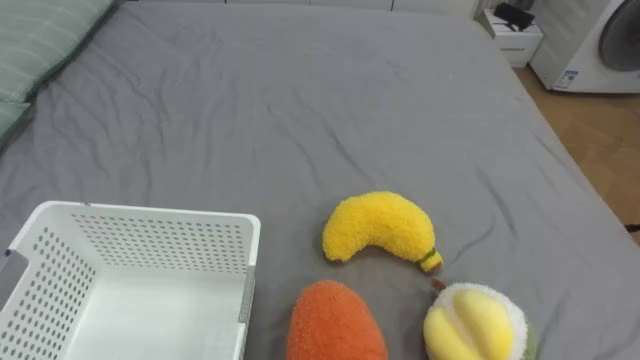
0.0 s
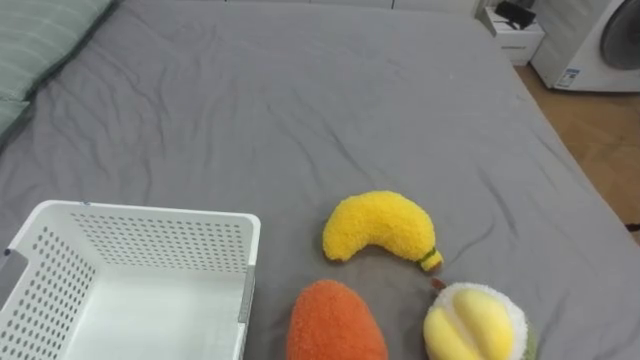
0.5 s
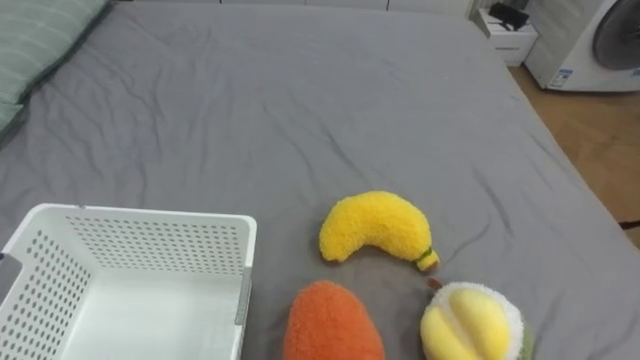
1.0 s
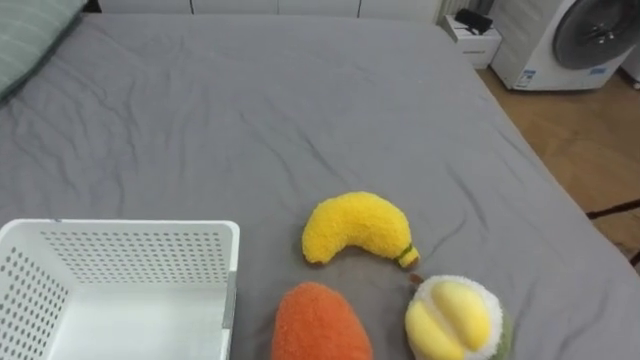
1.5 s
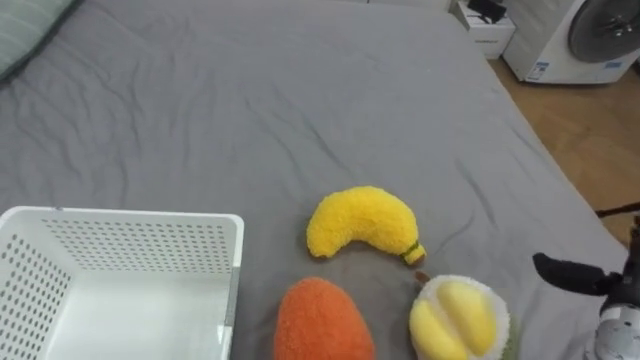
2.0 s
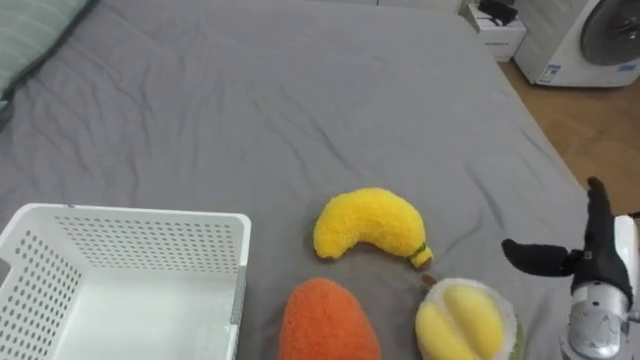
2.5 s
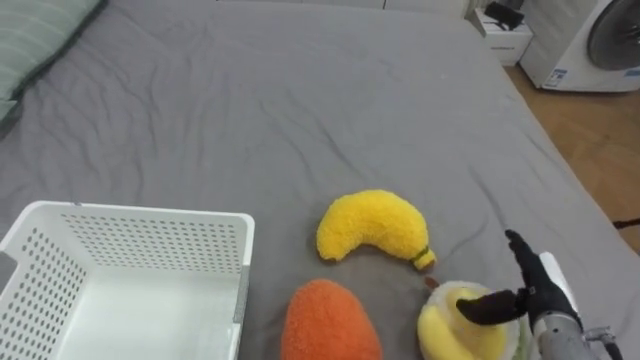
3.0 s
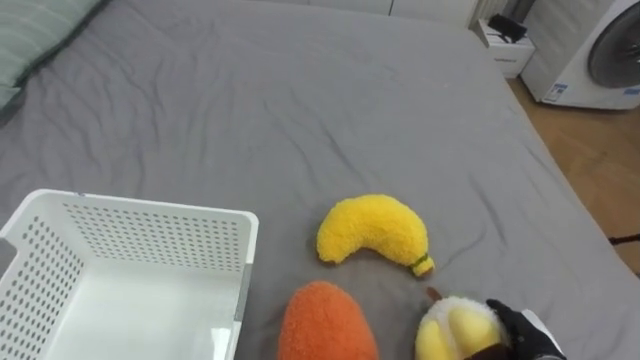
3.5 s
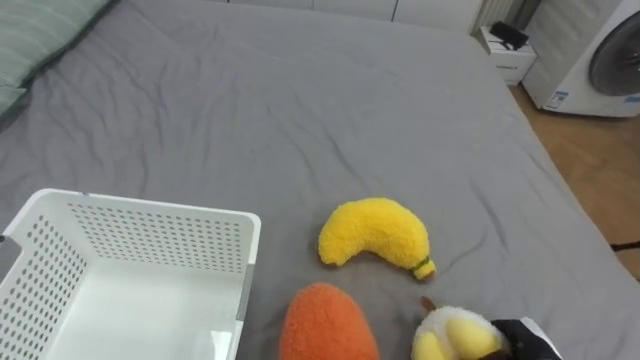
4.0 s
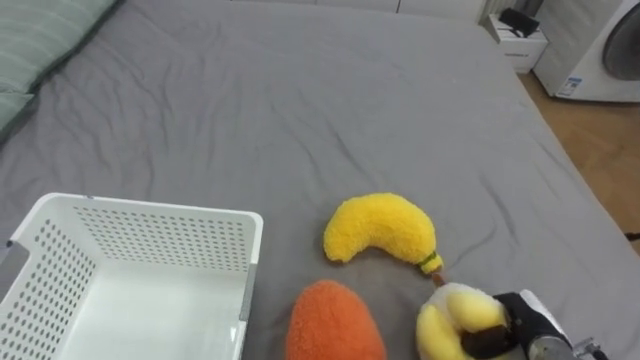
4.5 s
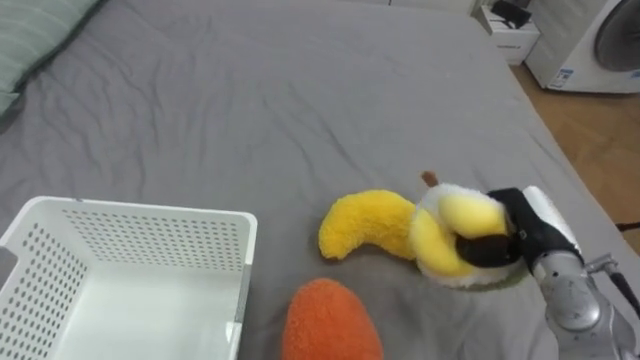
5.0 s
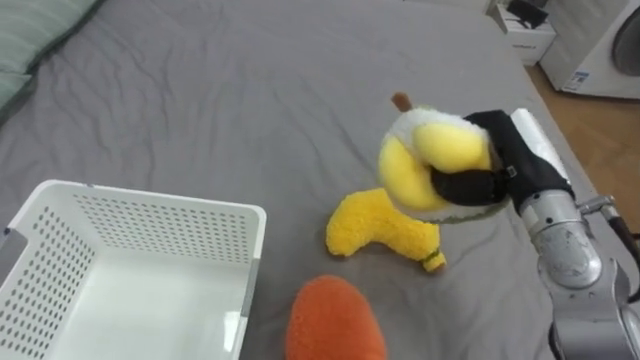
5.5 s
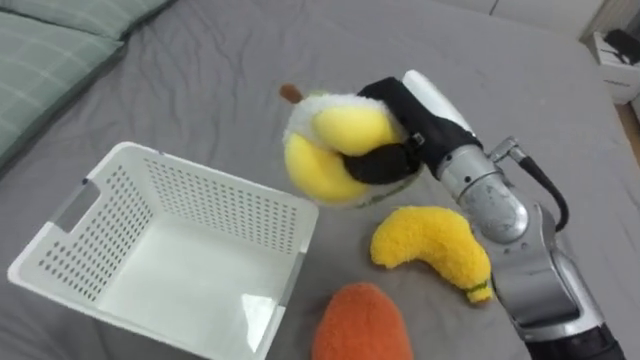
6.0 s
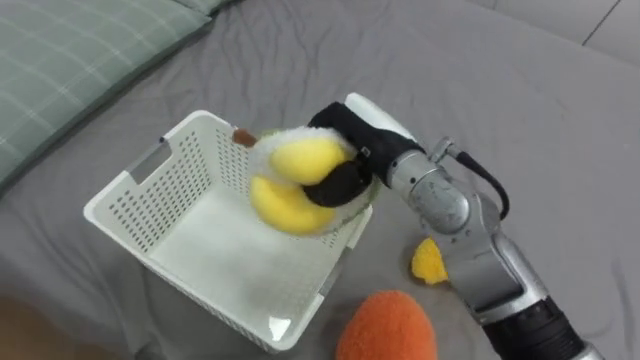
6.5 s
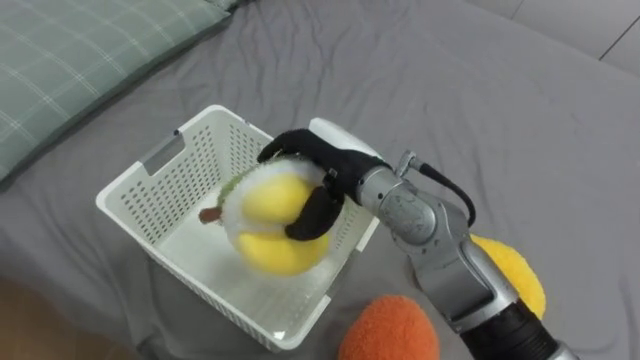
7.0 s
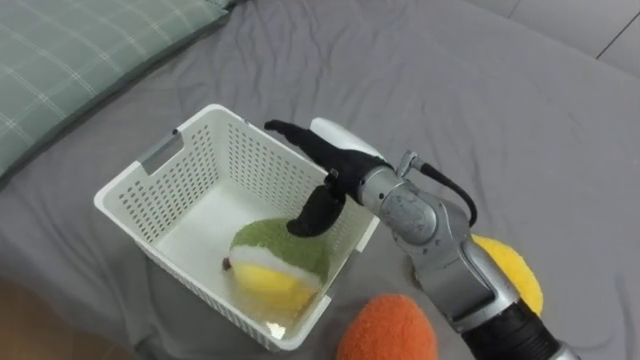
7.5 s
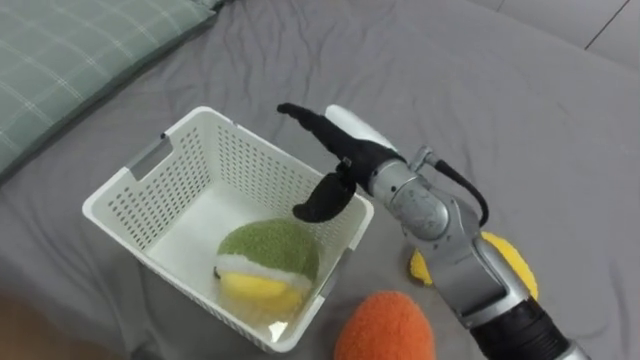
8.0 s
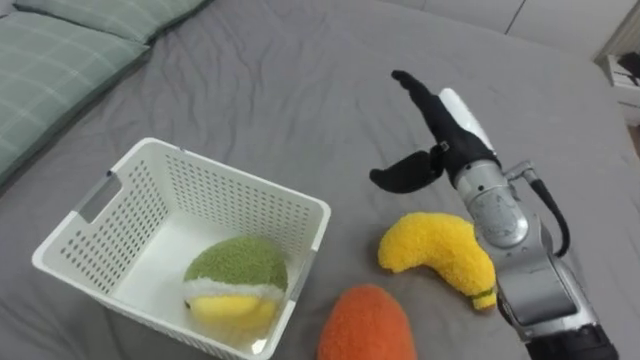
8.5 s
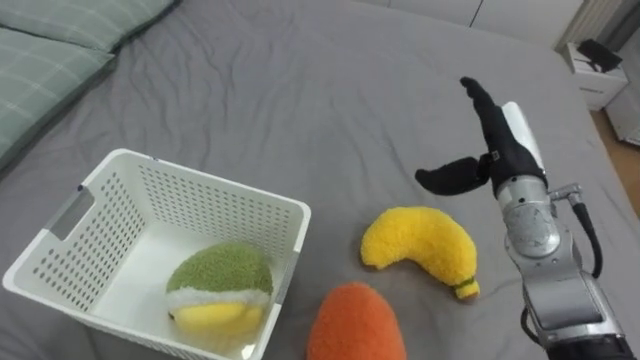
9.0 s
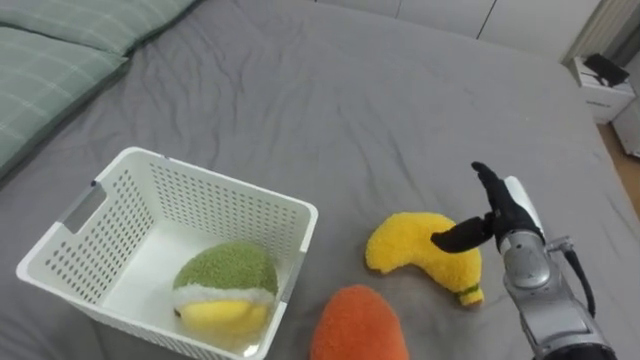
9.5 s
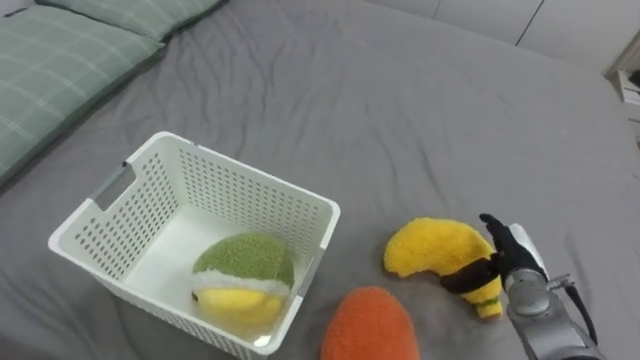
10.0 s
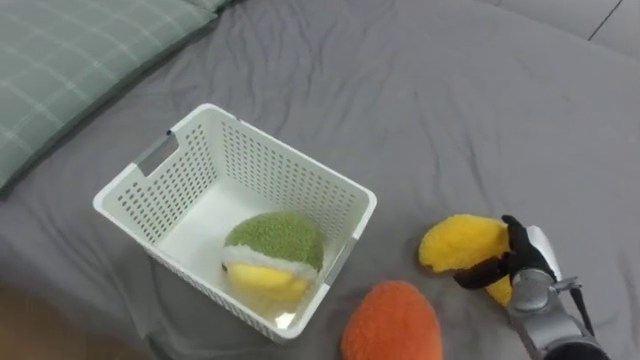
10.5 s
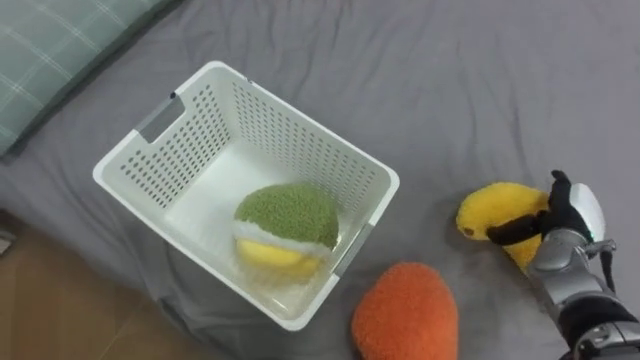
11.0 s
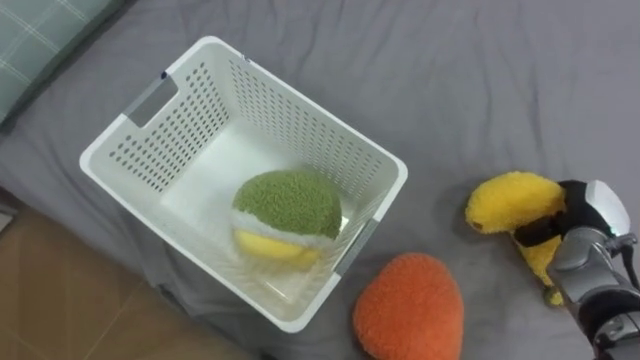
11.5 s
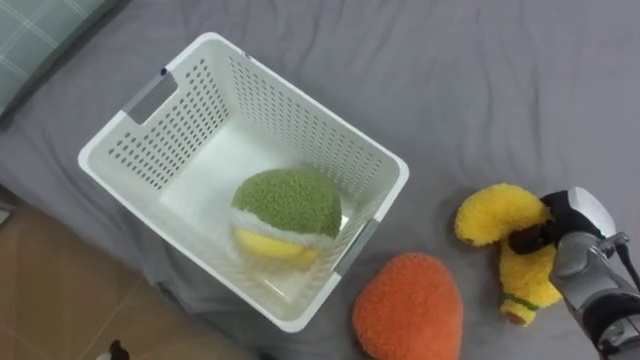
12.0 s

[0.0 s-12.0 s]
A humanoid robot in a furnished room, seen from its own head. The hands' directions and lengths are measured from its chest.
Task of the whole recording: Put the toys on the bed into the basket on the left.
2.0 to 4.0 s: The right hand moves downward and to the left, approximately 15 cm, and closes up.
4.0 to 6.0 s: The right hand heads upward, to the left and forward, covering some 35 cm.
6.0 to 8.0 s: The right hand travels to the left by roughly 10 cm, and opens up.
8.0 to 10.0 s: The right hand moves to the right and downward, some 30 cm.
10.0 to 12.0 s: The right hand goes about 5 cm to the right, and closes.

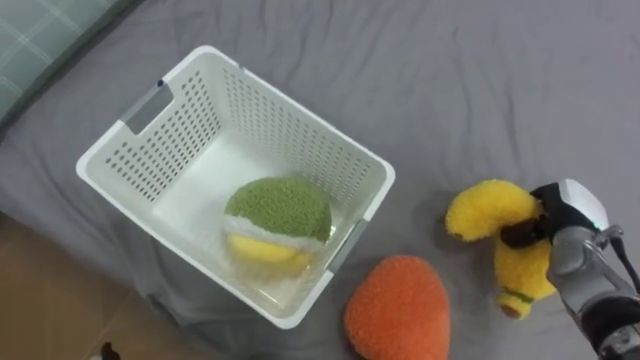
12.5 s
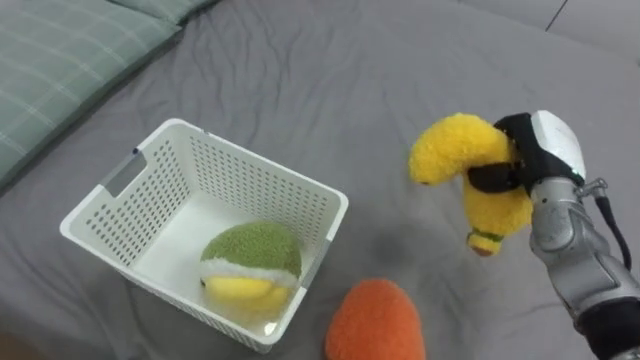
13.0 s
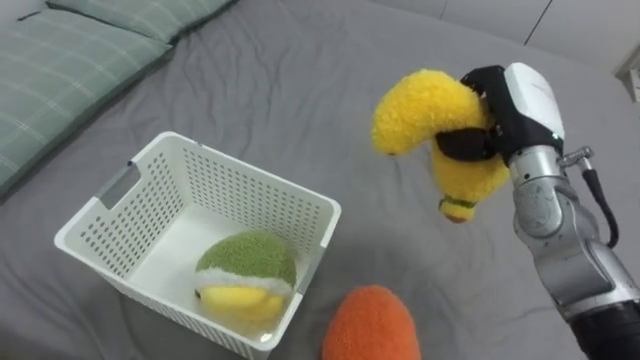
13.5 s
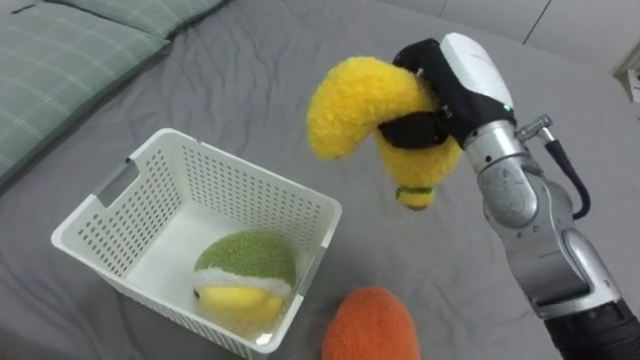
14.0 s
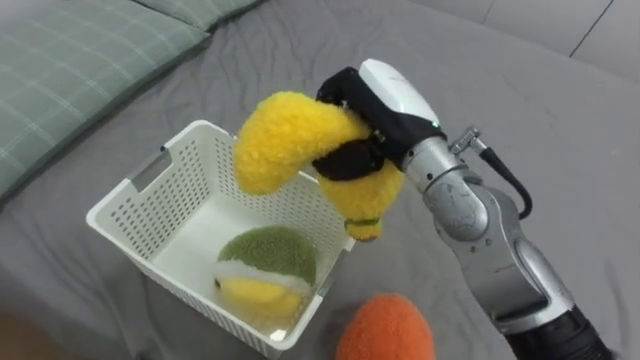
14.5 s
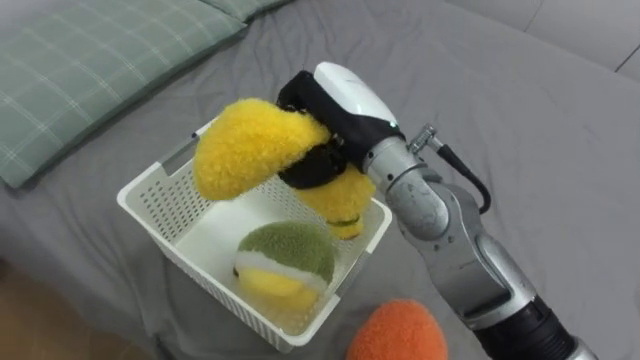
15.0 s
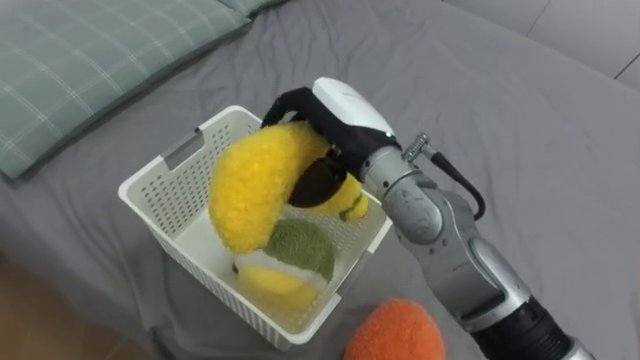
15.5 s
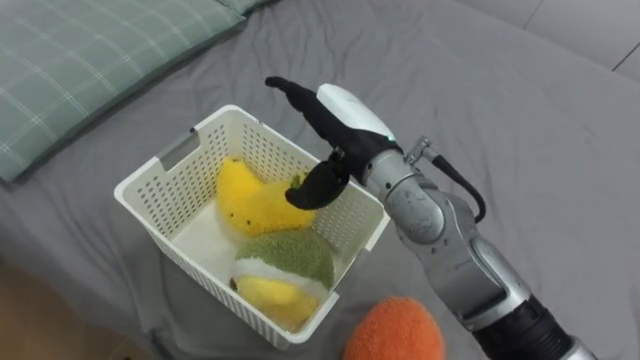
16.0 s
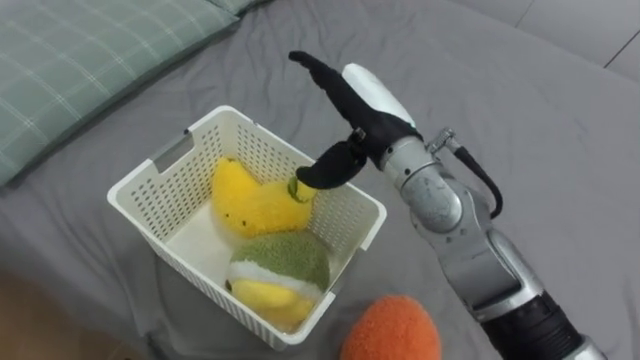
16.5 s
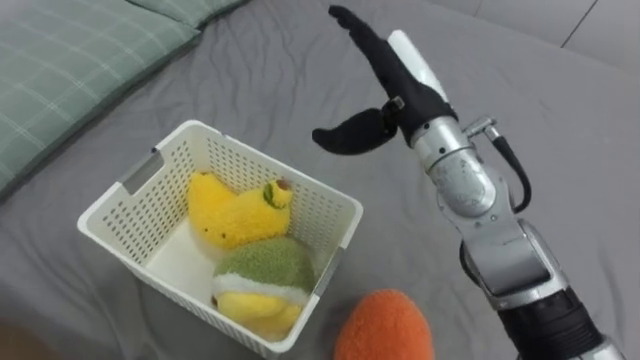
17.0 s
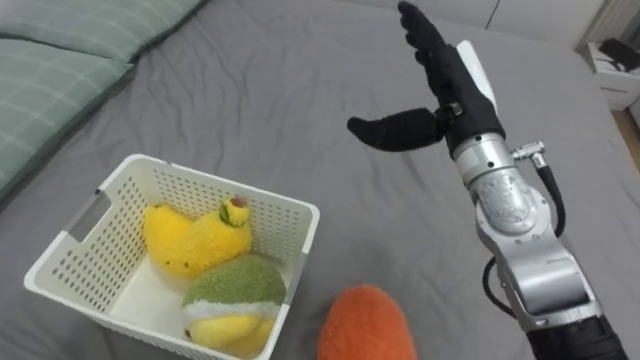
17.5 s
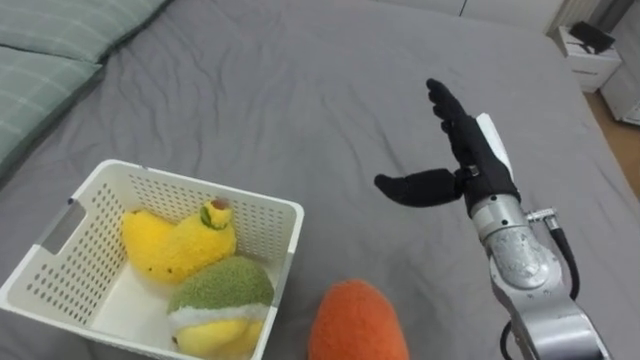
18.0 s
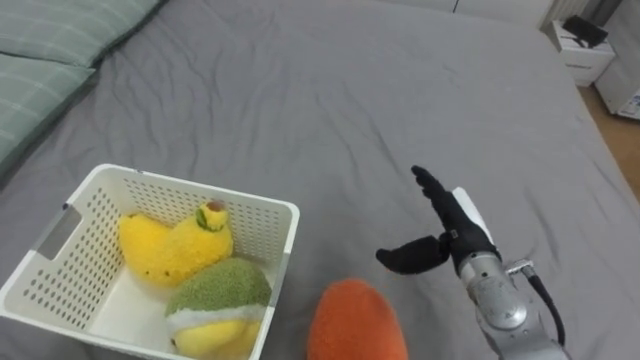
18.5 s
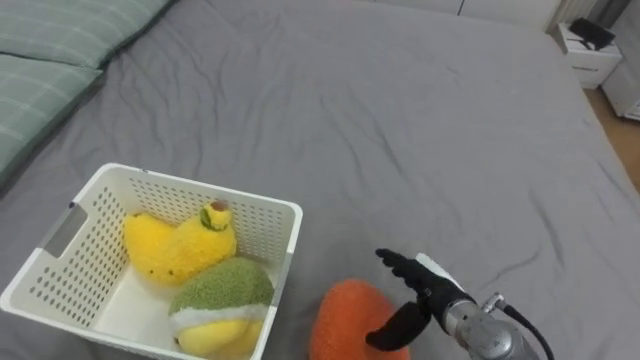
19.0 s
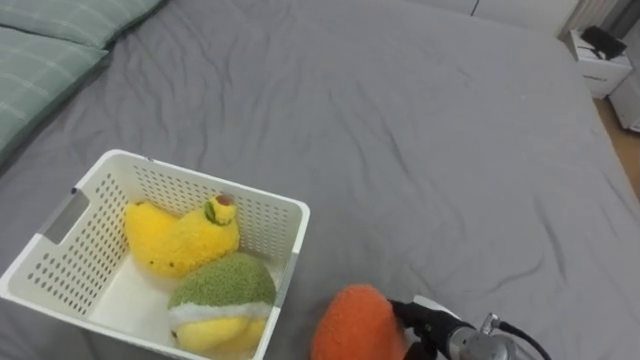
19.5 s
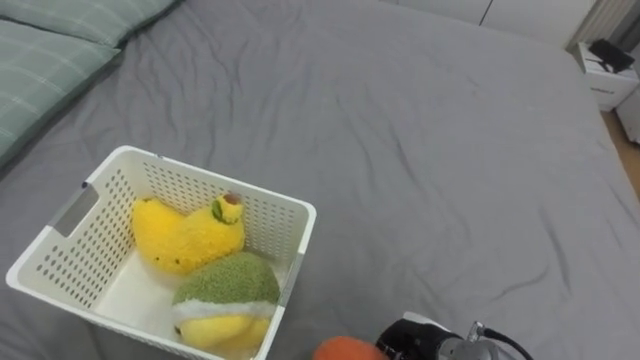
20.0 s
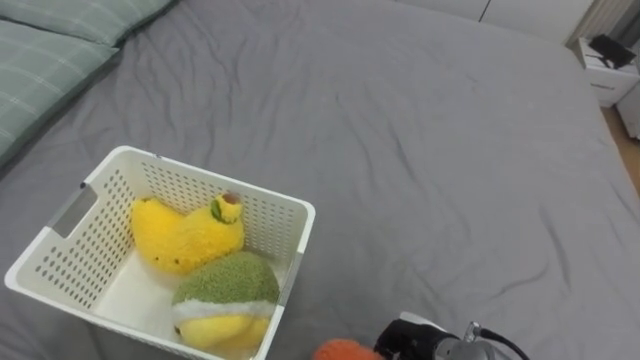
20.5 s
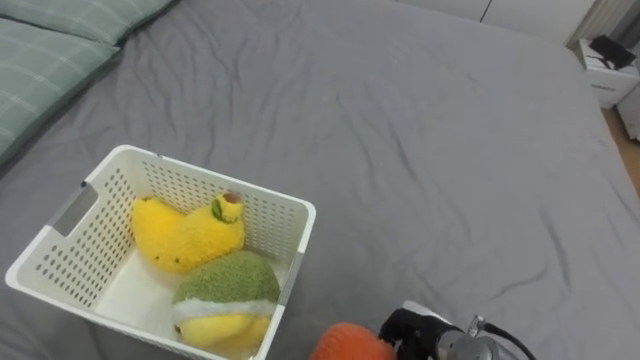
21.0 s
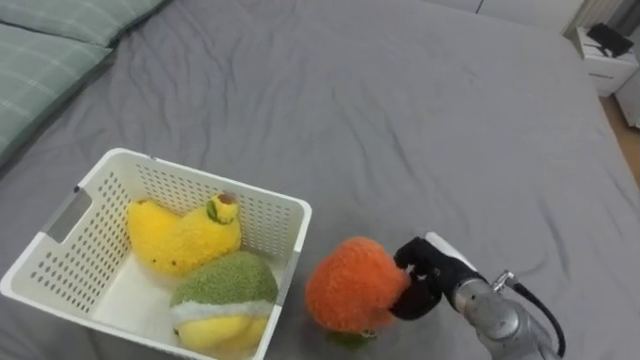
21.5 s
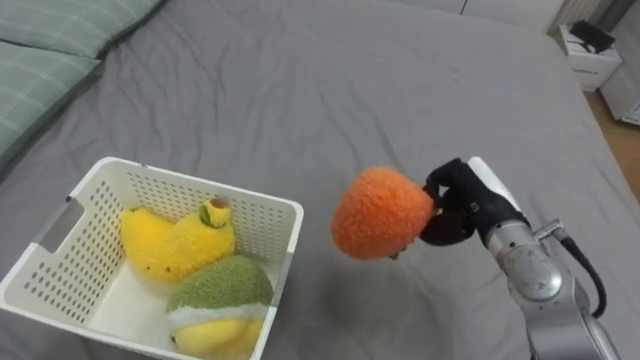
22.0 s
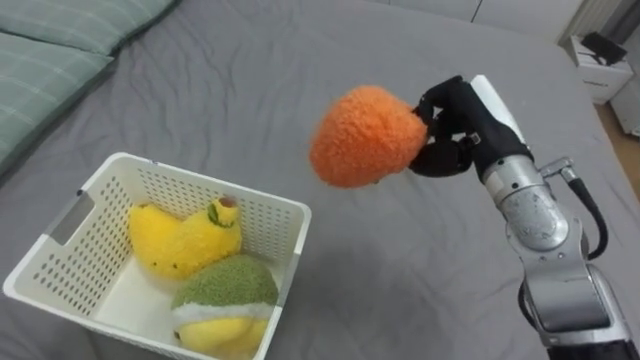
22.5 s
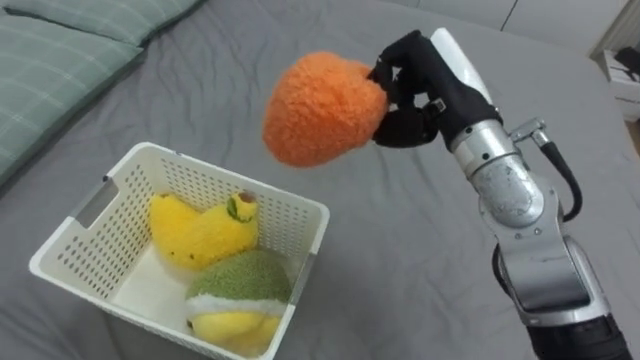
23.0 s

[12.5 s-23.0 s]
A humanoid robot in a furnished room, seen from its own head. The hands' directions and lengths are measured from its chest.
Task of the whole recording: Put the toys on the bed into the basket on the left.
12.5 to 14.5 s: The right hand is displaced to the left and upward by about 35 cm.
14.5 to 16.5 s: The right hand opens.
16.5 to 19.0 s: The right hand is displaced downward, to the right and backward by some 25 cm.
19.0 to 21.0 s: The right hand shifts some 5 cm downward, and closes up.
21.0 to 23.0 s: The right hand is displaced upward and forward by approximately 35 cm.
